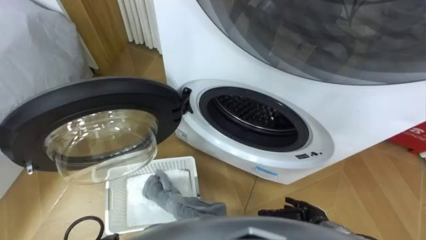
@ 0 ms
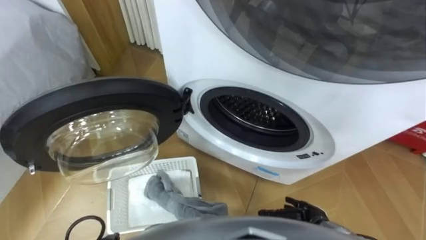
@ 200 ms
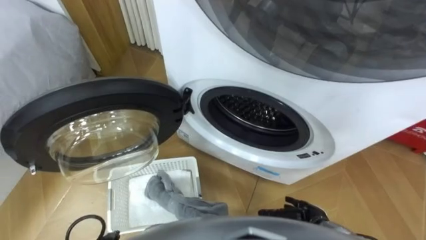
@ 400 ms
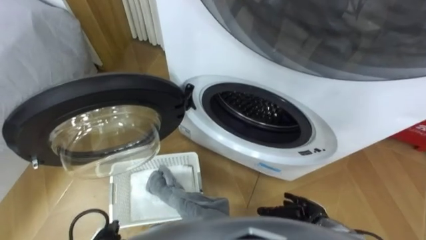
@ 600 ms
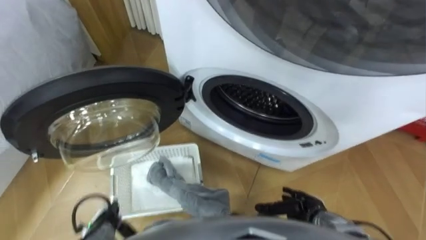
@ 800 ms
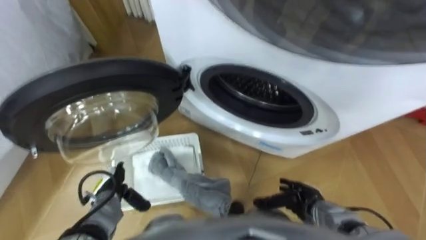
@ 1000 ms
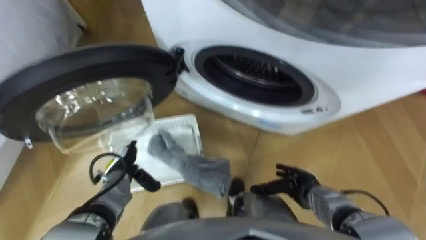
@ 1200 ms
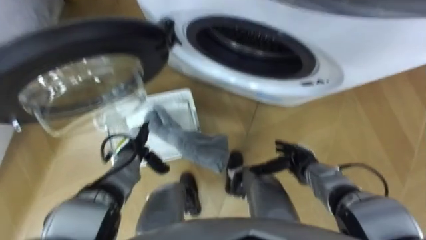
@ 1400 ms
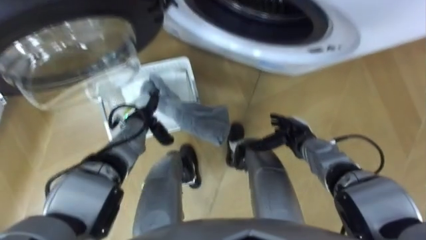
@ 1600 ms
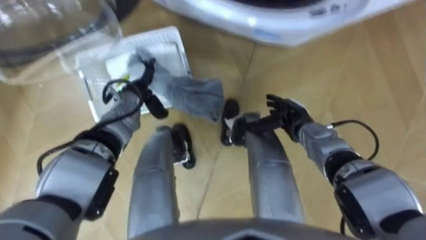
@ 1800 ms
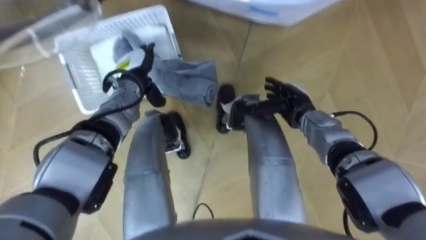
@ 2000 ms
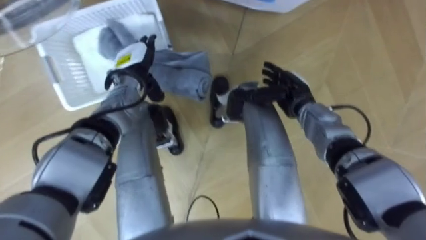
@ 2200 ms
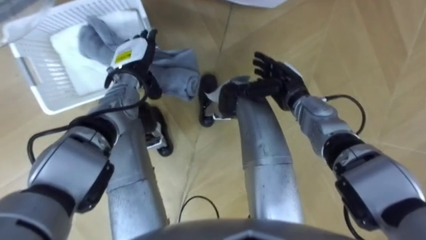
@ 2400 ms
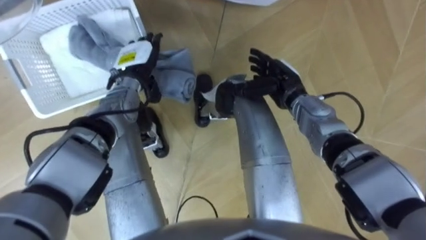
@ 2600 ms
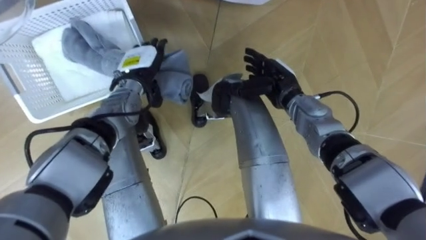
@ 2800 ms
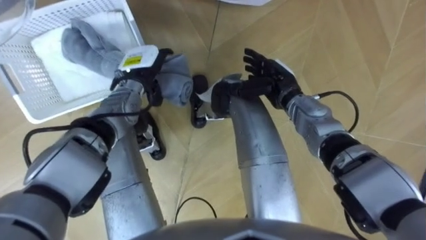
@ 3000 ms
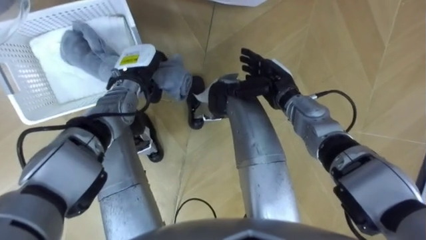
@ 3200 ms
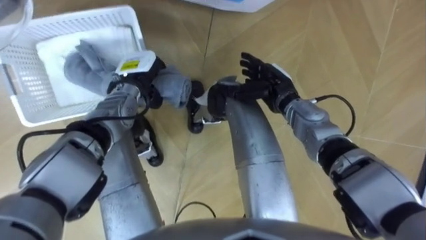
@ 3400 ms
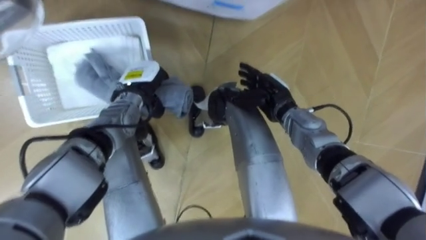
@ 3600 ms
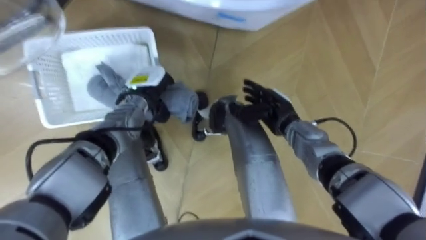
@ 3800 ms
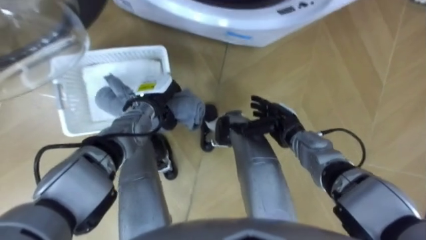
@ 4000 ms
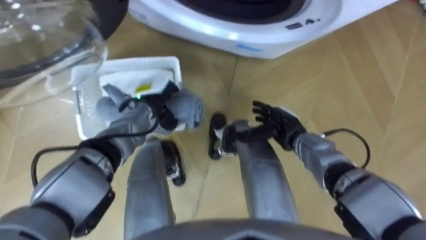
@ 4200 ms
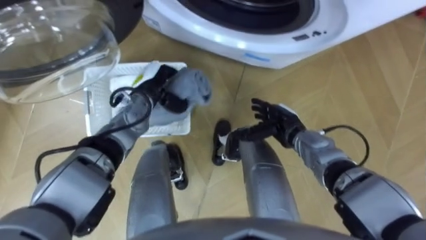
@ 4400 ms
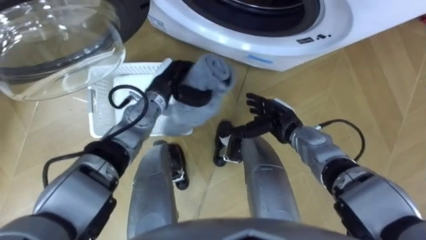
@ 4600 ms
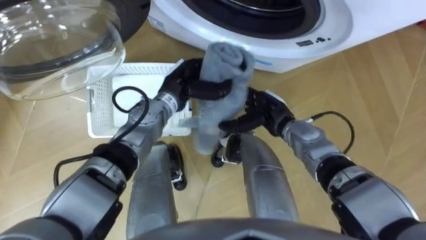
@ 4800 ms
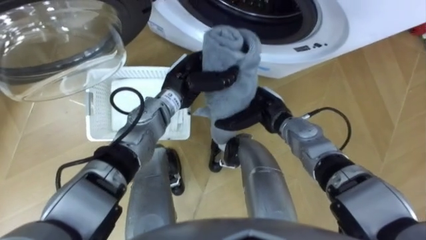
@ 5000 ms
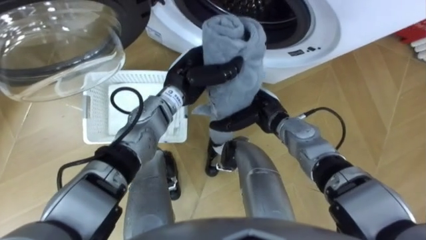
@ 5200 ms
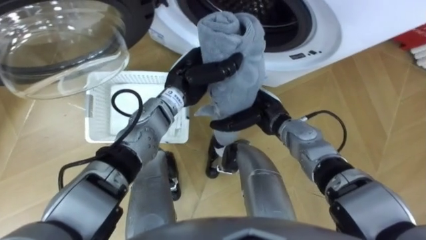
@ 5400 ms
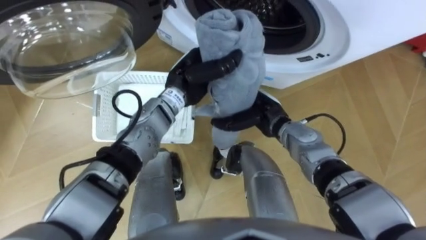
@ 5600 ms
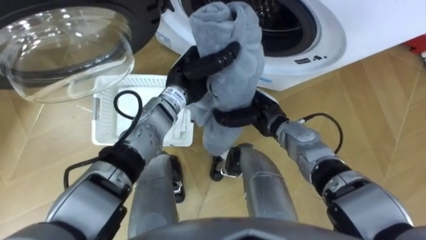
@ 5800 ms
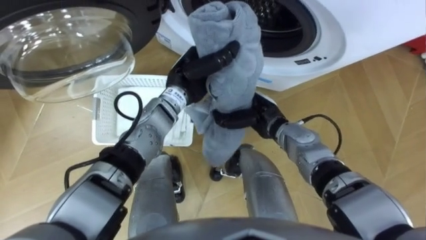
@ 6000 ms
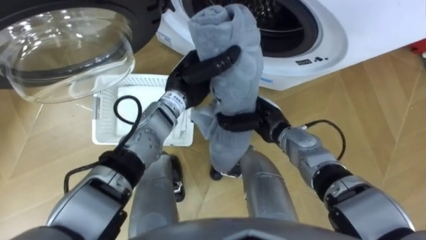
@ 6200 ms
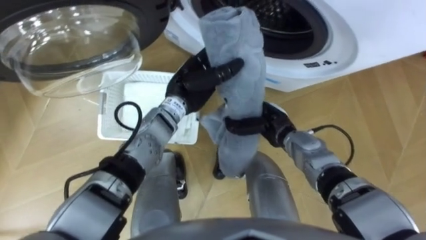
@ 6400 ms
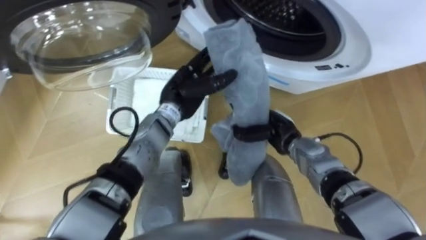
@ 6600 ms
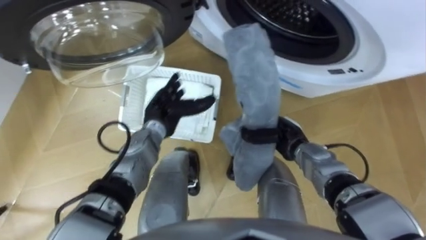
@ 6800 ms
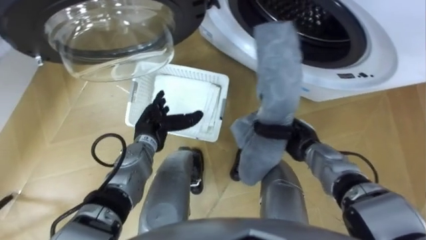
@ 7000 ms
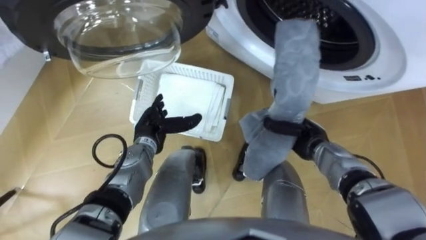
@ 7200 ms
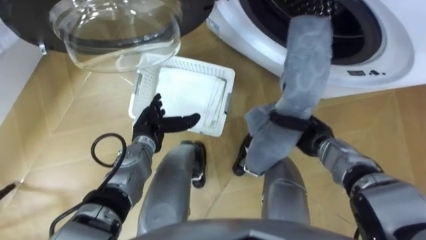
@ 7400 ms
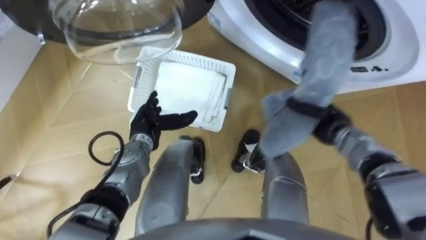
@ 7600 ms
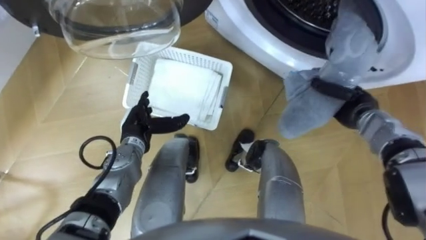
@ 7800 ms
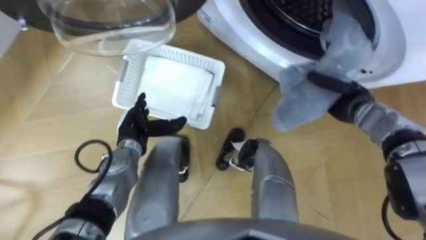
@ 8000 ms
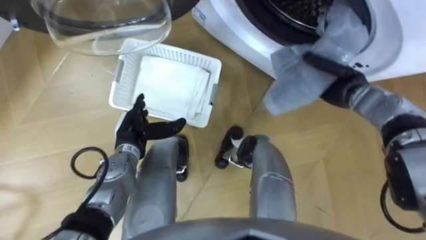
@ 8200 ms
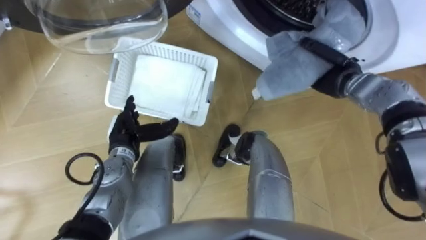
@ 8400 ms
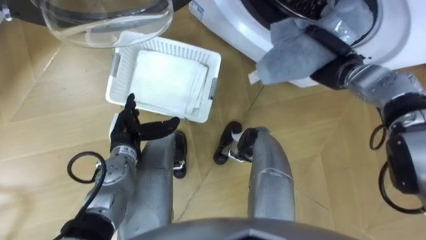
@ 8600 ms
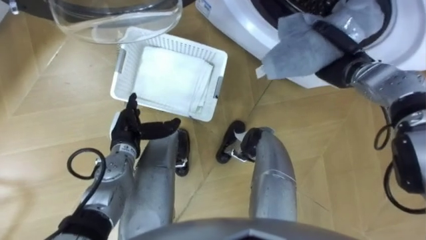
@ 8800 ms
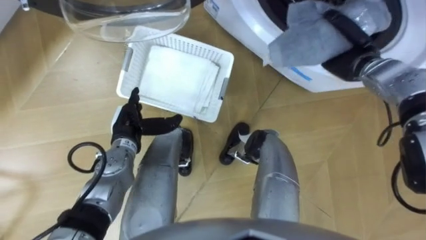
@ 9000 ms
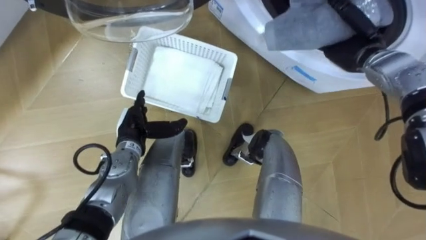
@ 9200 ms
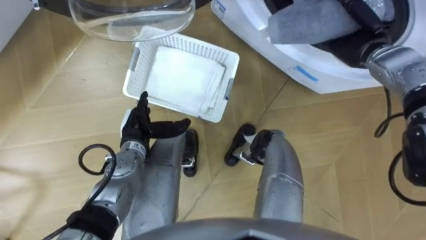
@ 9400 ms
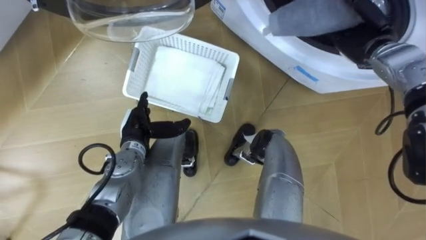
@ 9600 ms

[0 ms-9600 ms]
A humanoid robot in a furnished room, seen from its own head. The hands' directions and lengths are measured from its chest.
Task of the whole recording: Take the towel from the basket and put it into the washing machine.
1600 ms to 3200 ms: The left hand shifts approximately 10 cm upward and forward, and closes up. The right hand heads upward, forward and to the left, covering roughly 15 cm.
3200 ms to 4800 ms: The left hand moves to the right, approximately 10 cm.
4800 ms to 6400 ms: The left hand opens, while the right hand closes up.
6400 ms to 8000 ms: The right hand goes approximately 15 cm to the right. The left hand moves to the left, downward and backward, about 20 cm.
8000 ms to 9600 ms: The right hand moves upward and forward, roughly 15 cm, and opens up.

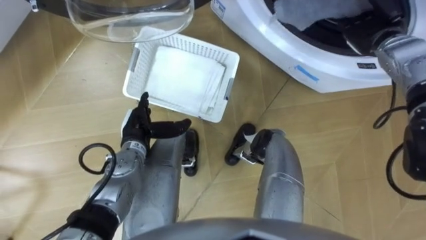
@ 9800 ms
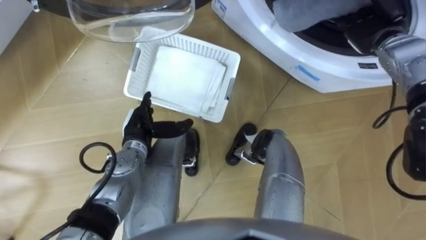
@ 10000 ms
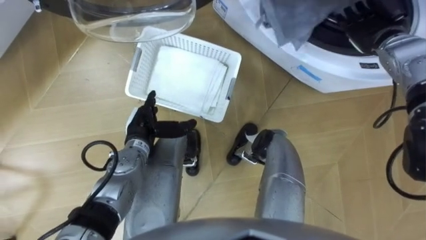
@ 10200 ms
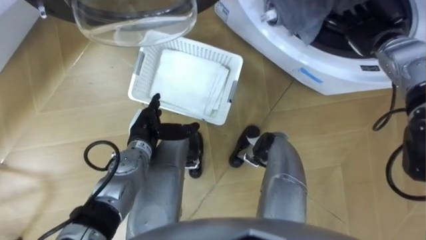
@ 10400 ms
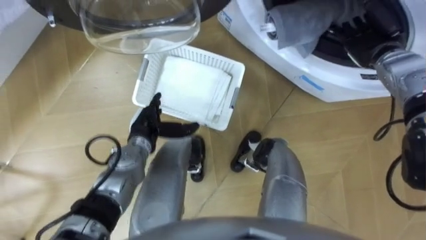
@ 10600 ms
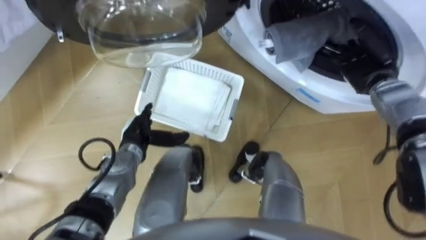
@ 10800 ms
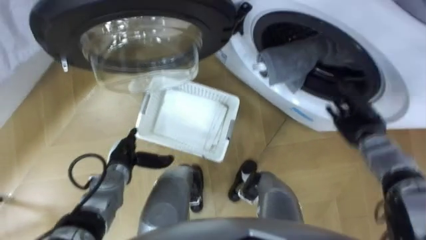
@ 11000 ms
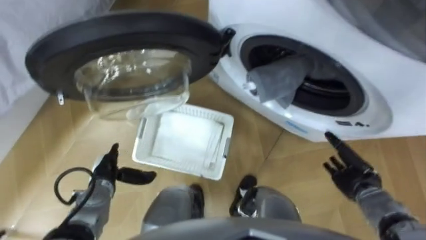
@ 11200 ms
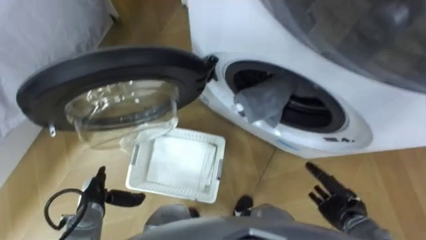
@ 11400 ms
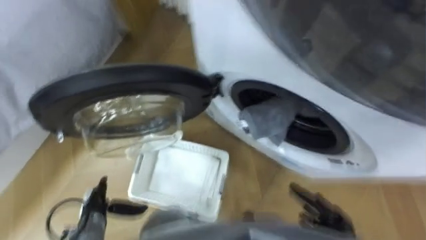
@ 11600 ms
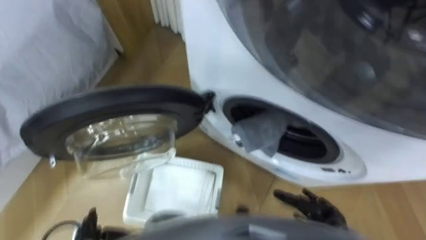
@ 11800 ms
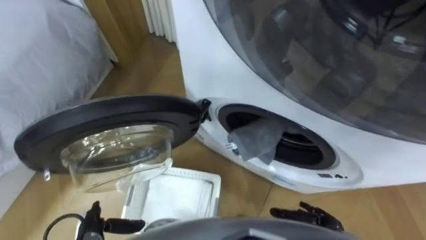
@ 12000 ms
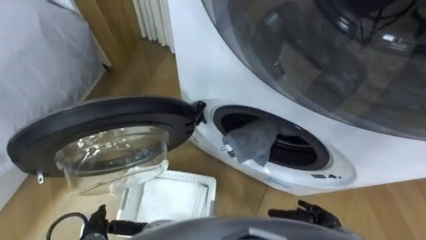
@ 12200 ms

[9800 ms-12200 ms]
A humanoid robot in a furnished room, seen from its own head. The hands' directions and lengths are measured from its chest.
Task of the whole recording: Take the towel from the basket and put it into the washing machine.
9800 ms to 11000 ms: The left hand travels downward by roughly 5 cm. Meanwhile the right hand travels downward and backward by roughly 20 cm.
11000 ms to 12200 ms: The right hand is displaced backward and downward by some 25 cm; the left hand heads backward, covering roughly 15 cm.

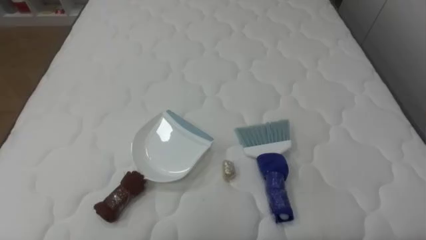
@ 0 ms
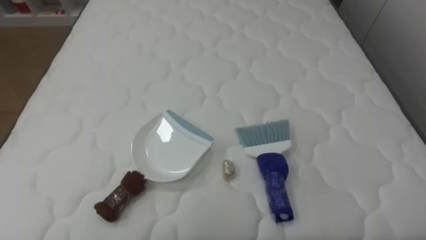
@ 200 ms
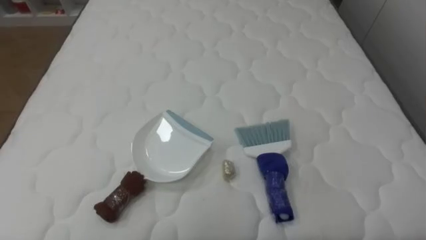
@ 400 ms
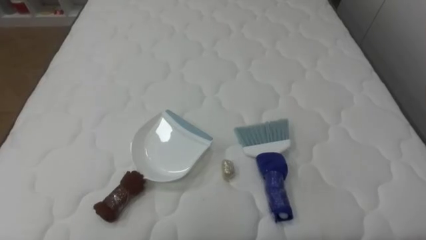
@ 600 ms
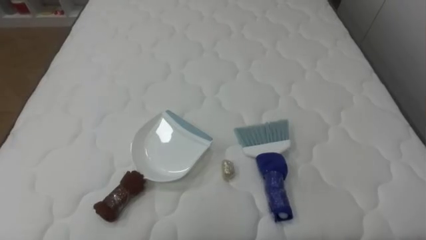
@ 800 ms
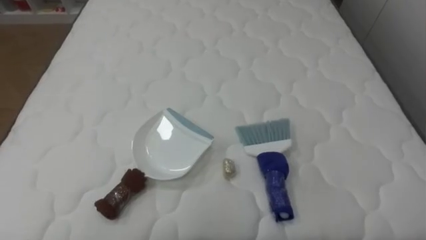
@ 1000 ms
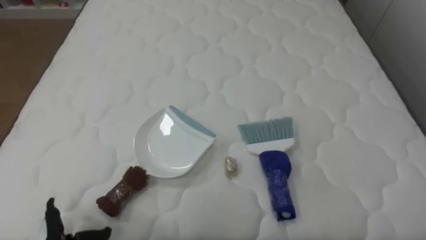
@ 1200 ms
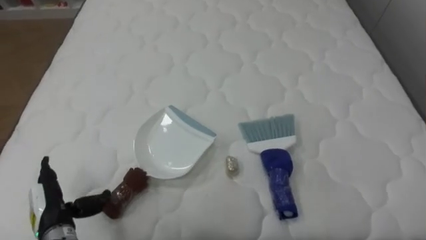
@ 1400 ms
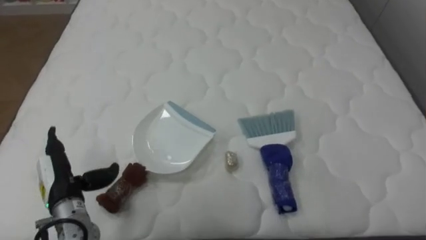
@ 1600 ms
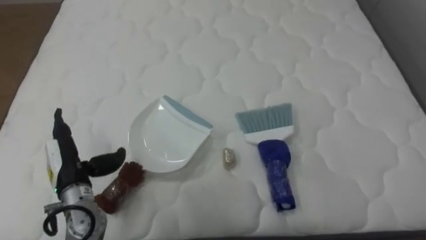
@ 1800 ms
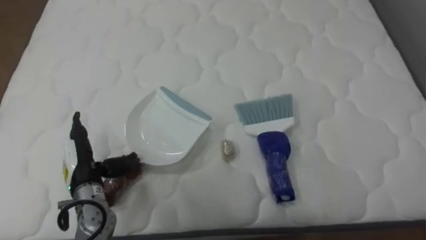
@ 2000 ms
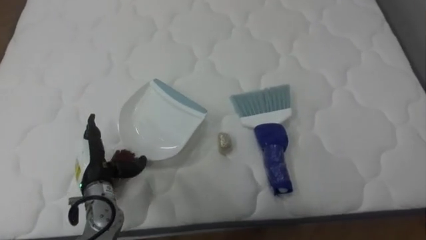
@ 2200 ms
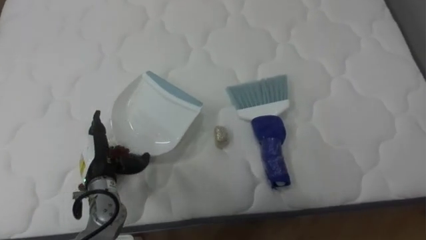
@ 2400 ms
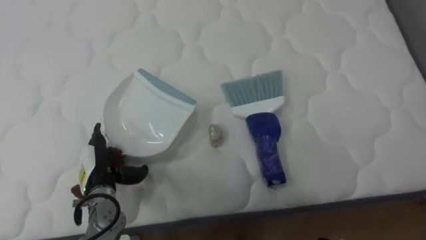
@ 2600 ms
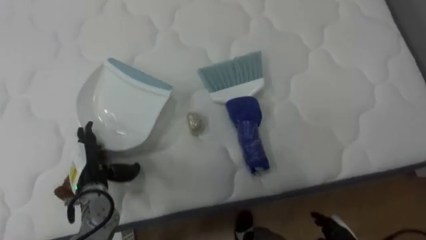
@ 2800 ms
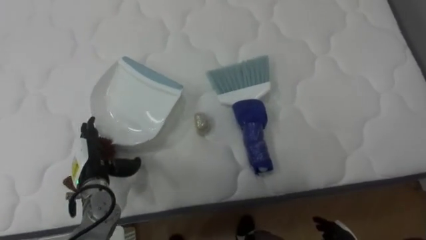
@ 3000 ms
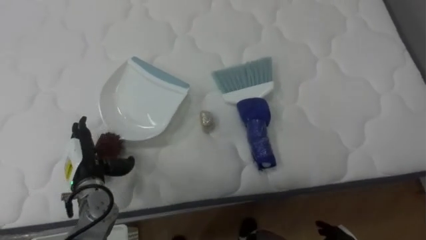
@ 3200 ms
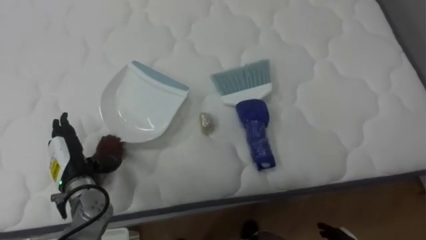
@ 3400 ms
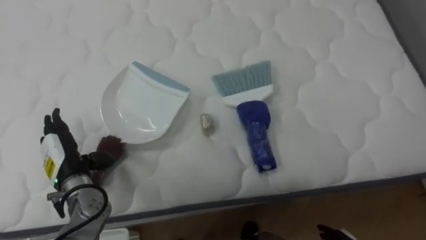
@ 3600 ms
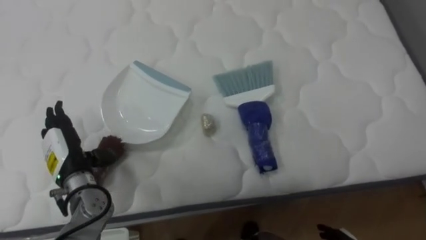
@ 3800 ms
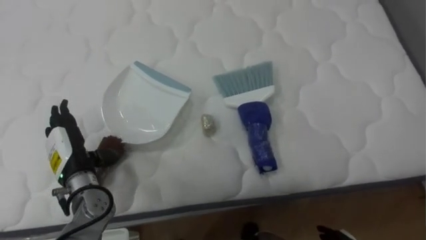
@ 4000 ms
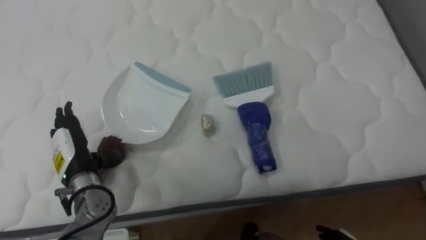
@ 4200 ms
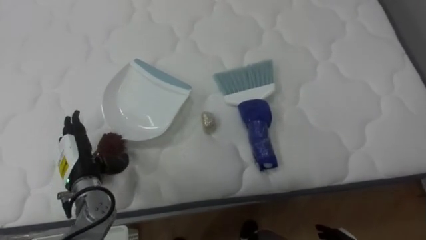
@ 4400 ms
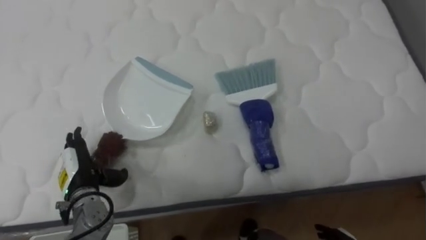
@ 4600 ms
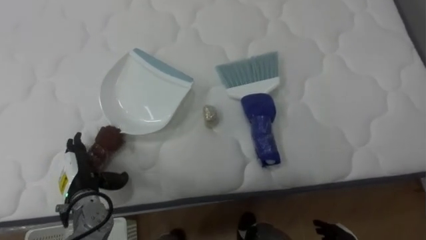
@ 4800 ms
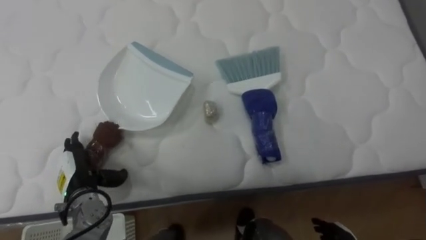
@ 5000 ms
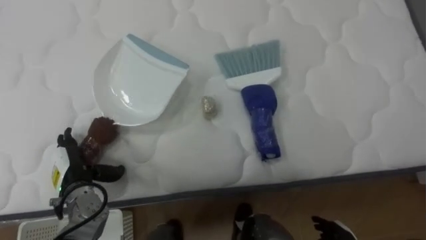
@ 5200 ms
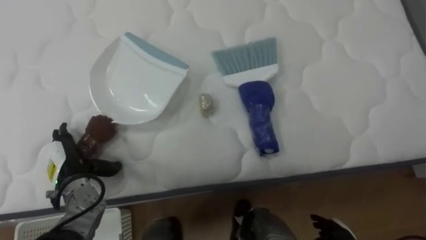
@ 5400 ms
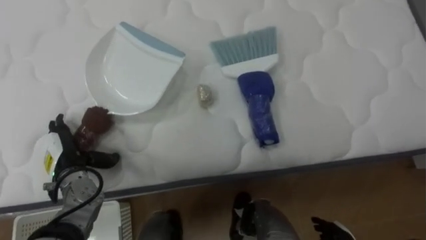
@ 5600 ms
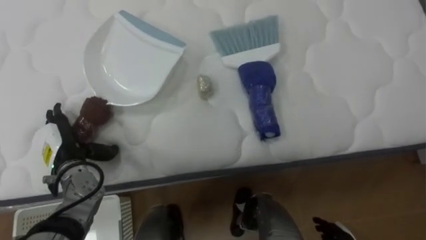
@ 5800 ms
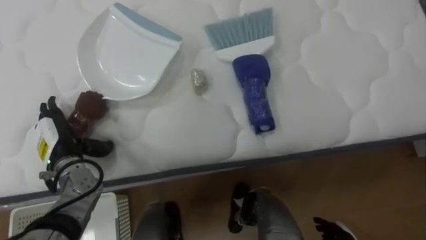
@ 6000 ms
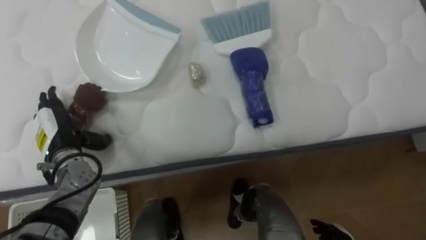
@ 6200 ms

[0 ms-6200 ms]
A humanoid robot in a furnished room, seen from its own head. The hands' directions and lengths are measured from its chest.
Task of the whole recording: Pick up the brush on your right and the dustpan on your left. Use the brush to sweep the crumpled paper on the bed into the dustpan, then turn left and empty it into the basket.
1600 ms to 3200 ms: The left hand goes approximately 5 cm forward.
4600 ms to 6200 ms: The left hand is displaced upward and forward by approximately 10 cm.
